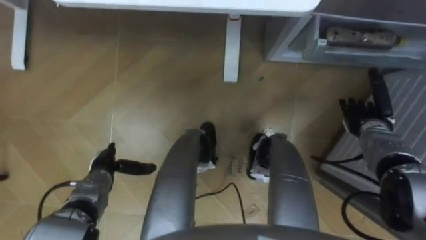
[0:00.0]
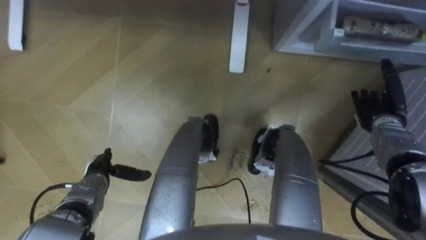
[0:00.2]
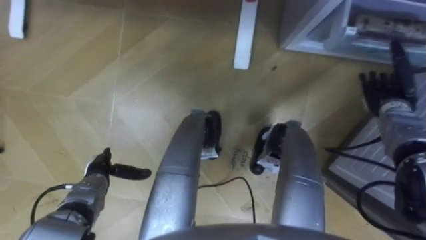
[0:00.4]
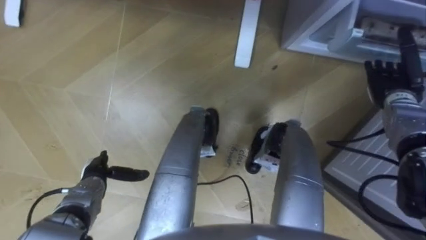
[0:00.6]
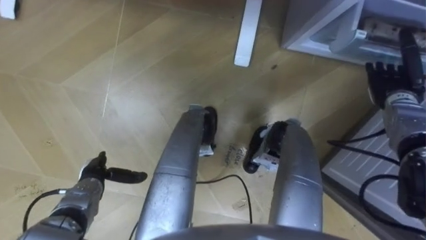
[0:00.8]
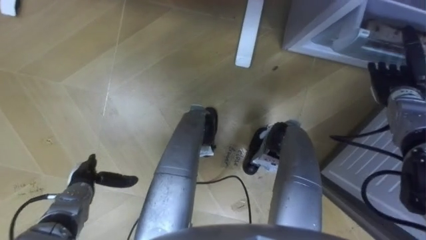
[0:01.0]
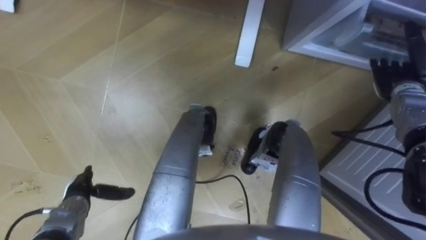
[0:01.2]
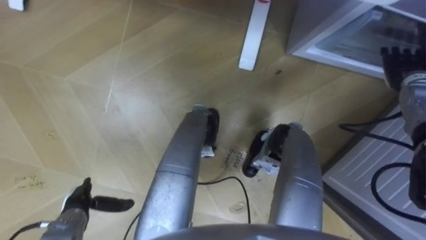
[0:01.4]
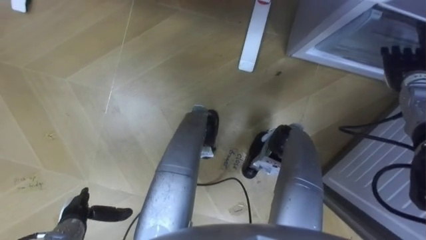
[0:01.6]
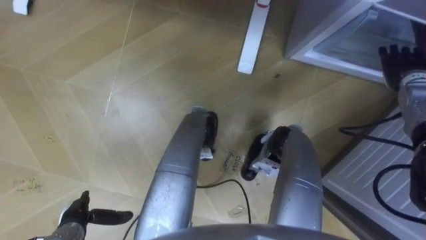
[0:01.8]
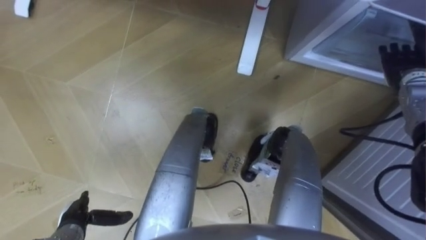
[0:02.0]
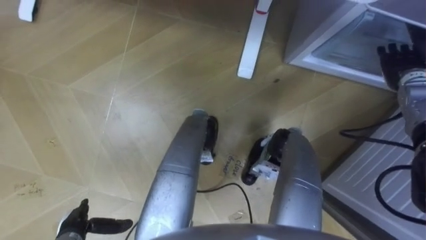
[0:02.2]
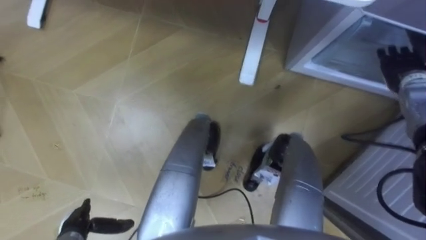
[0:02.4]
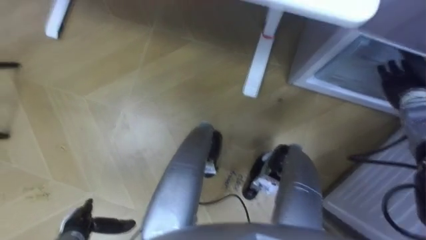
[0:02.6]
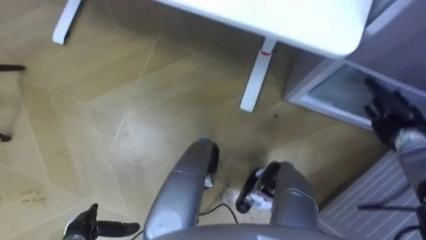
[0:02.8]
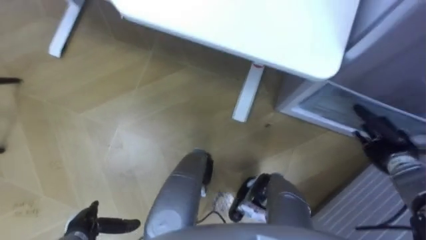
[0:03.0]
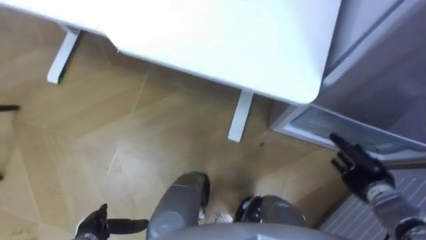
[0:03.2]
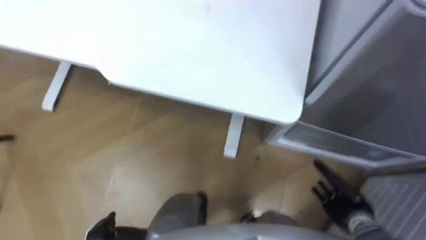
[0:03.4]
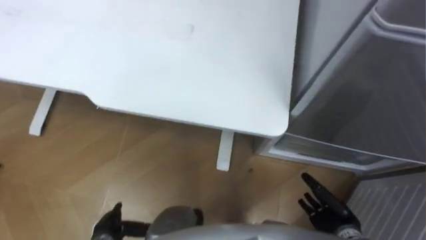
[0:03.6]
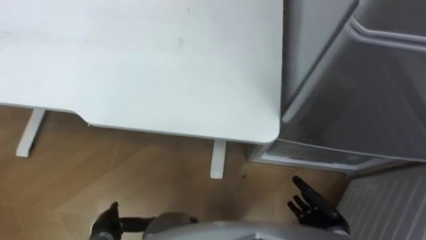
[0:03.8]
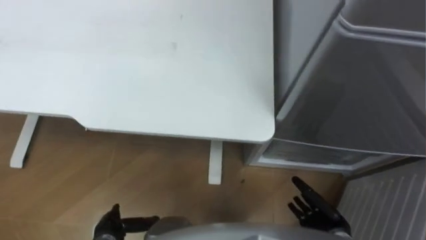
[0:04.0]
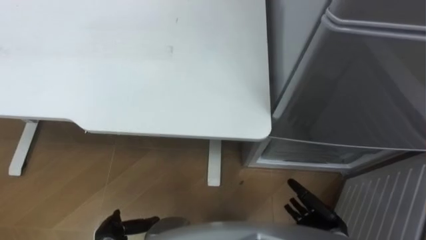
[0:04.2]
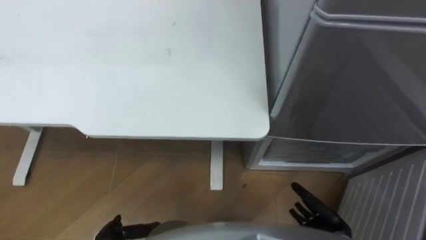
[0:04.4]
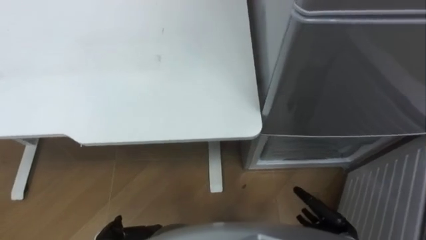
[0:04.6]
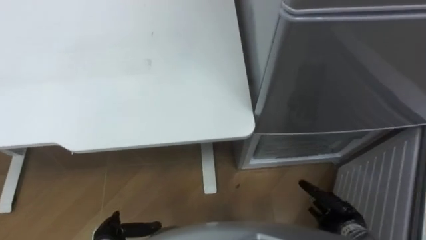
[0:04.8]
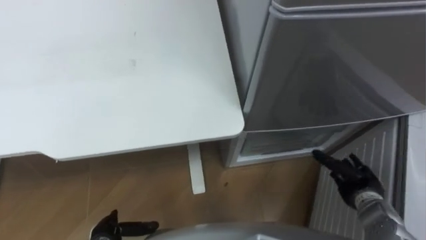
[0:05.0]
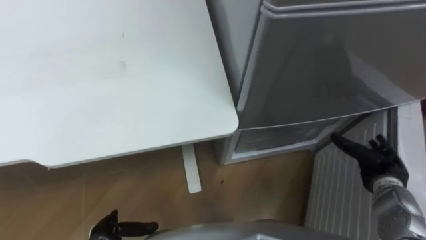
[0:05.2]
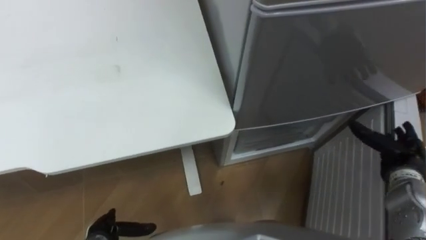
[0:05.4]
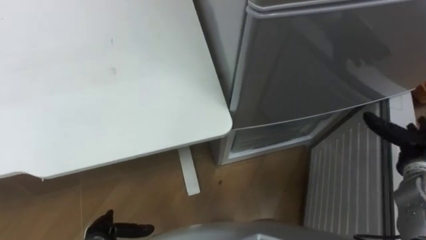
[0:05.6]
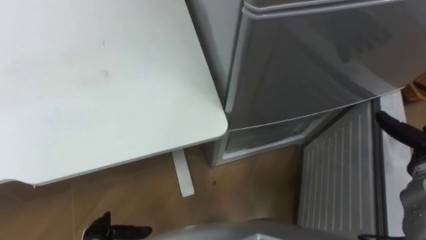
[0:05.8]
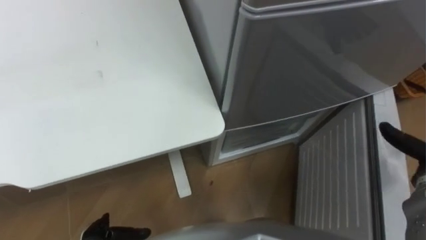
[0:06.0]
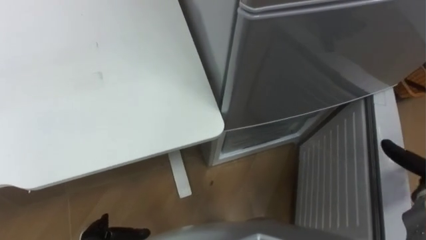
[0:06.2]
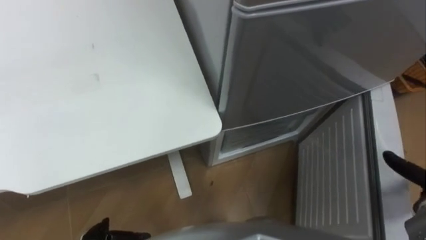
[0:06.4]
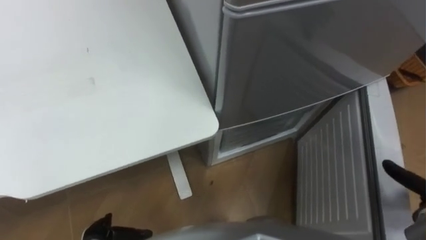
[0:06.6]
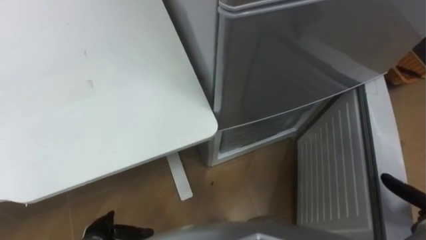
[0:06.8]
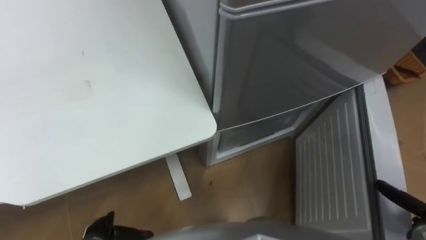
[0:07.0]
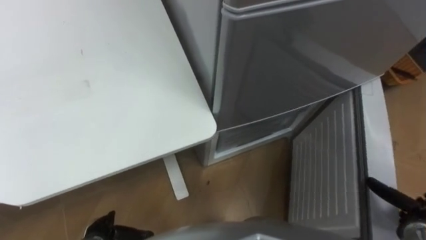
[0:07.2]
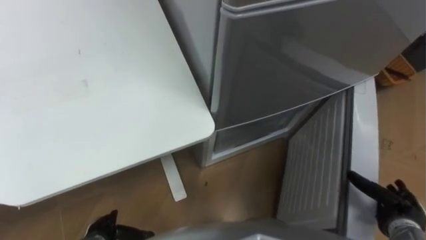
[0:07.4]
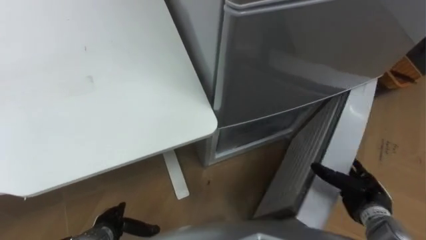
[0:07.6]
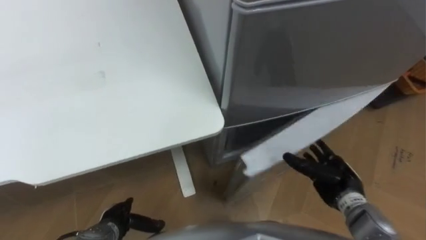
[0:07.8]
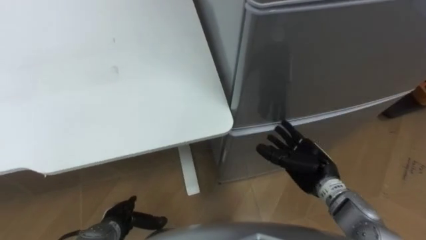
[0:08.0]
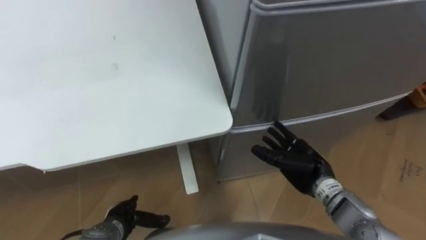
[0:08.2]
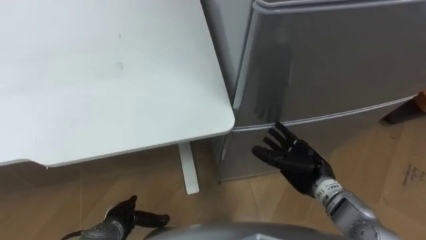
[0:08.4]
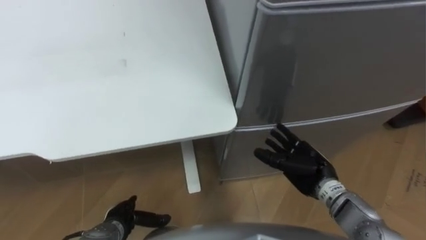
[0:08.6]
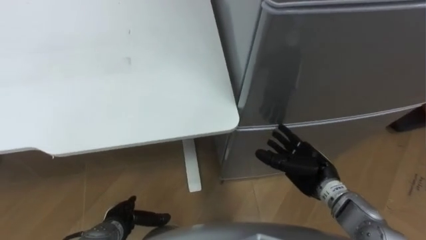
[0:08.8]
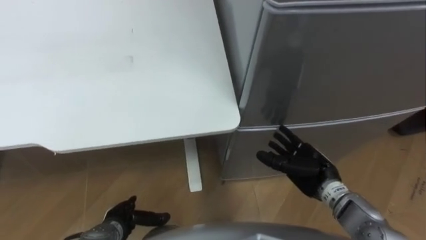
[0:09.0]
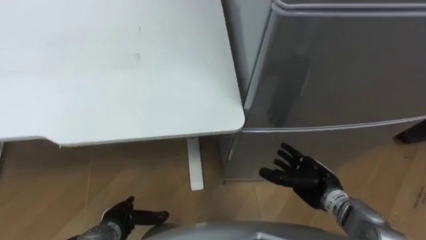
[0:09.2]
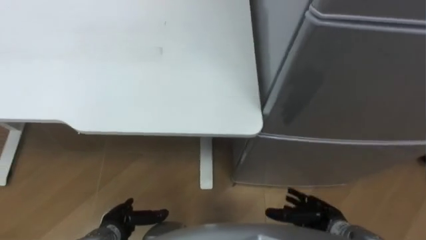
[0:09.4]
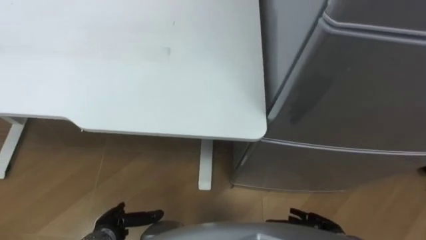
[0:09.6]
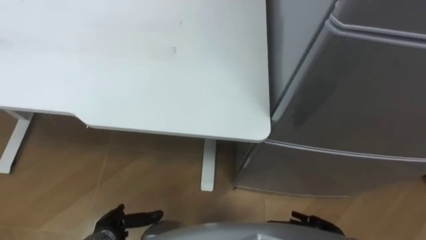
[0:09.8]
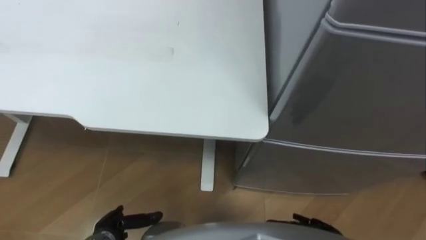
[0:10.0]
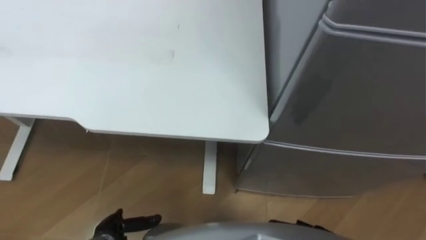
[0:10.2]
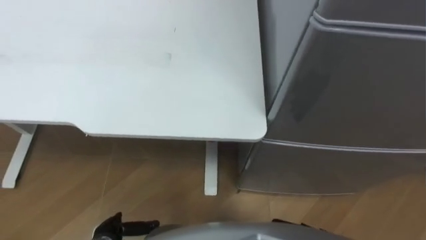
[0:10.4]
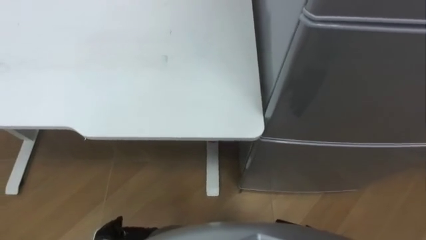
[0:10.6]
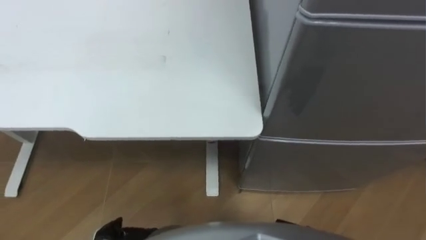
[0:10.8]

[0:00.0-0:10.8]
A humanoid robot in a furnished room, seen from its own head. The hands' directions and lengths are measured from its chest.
Task of the whole recording: Place the drink on the table on the bottom shelf of the refrigerator, then close the drawer and the refrigerator door.
0:00.0 to 0:01.6: The right hand heads upward, forward and to the right, covering roughly 15 cm. The left hand moves backward and to the left, some 10 cm.
0:01.6 to 0:03.0: The right hand goes about 15 cm backward and downward.
0:03.0 to 0:04.6: The right hand heads backward, to the left and downward, covering about 20 cm.
0:04.6 to 0:06.2: The right hand travels to the right, upward and forward by roughly 25 cm.
0:06.2 to 0:07.8: The right hand travels to the left by some 15 cm.
0:07.8 to 0:09.2: The right hand heads to the left, covering some 5 cm.

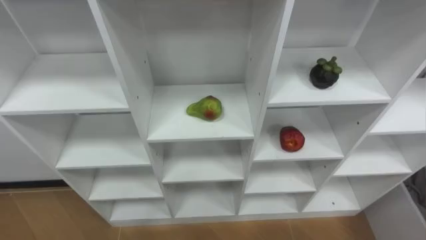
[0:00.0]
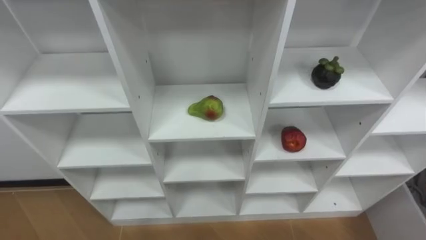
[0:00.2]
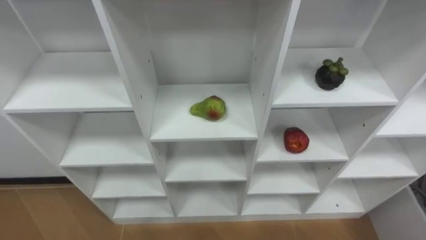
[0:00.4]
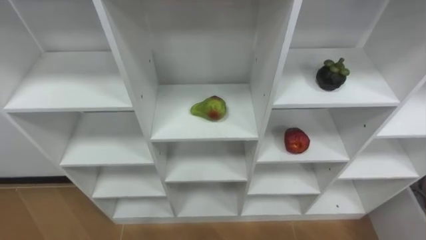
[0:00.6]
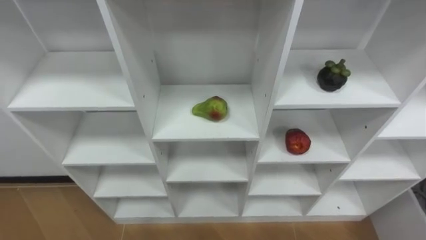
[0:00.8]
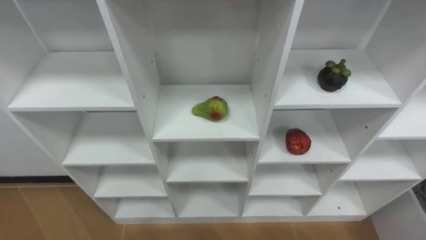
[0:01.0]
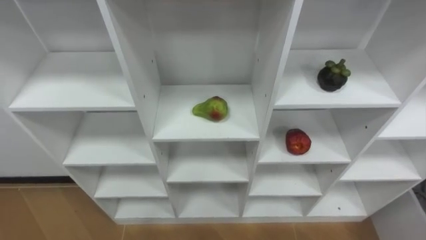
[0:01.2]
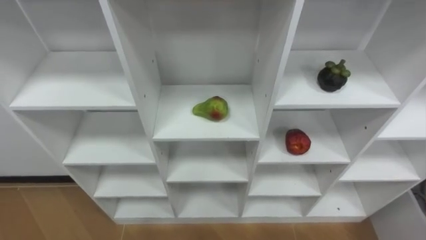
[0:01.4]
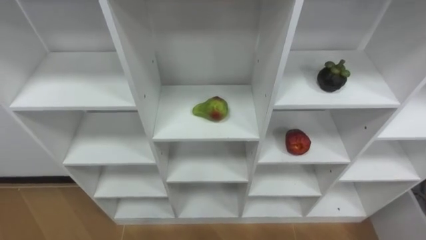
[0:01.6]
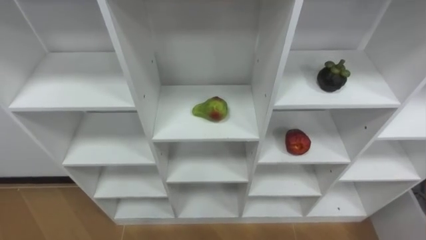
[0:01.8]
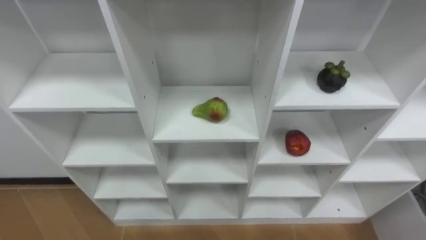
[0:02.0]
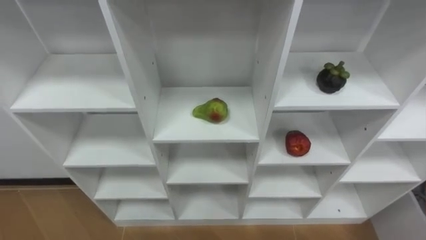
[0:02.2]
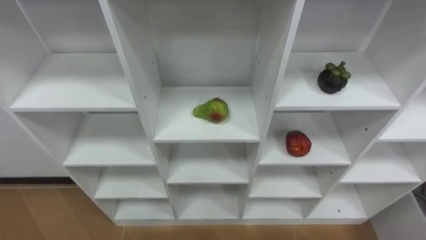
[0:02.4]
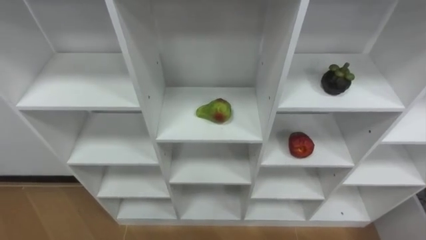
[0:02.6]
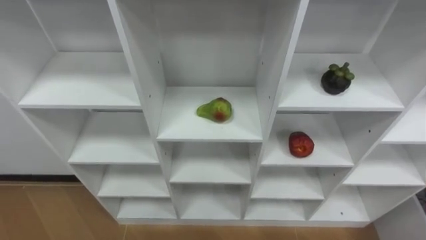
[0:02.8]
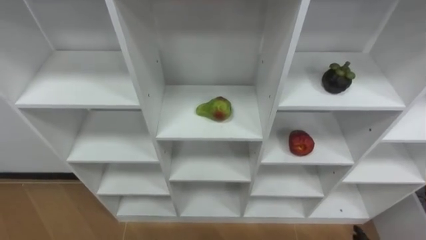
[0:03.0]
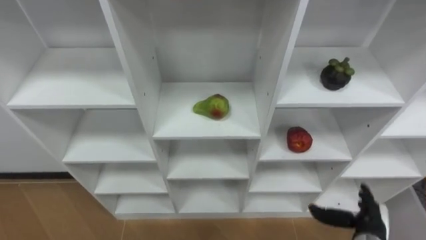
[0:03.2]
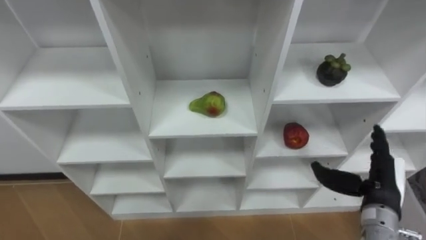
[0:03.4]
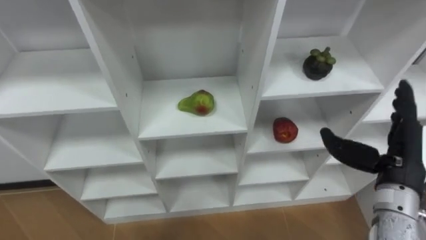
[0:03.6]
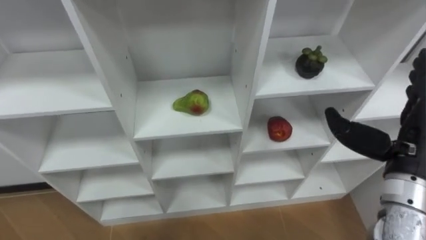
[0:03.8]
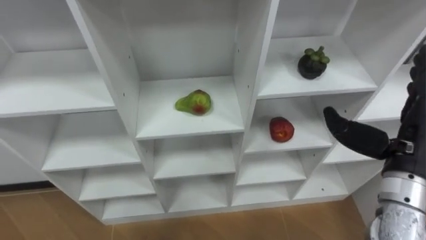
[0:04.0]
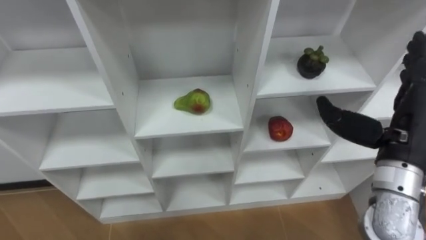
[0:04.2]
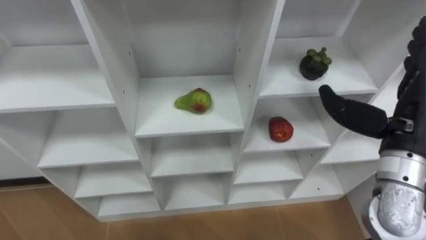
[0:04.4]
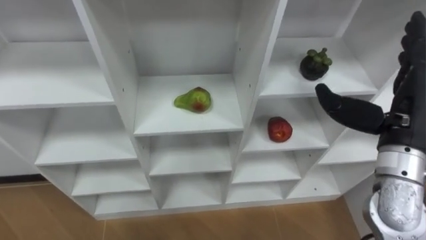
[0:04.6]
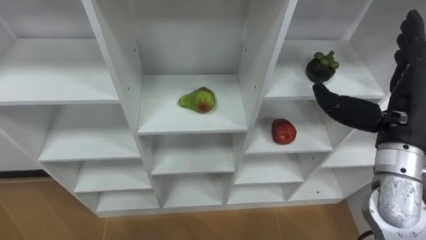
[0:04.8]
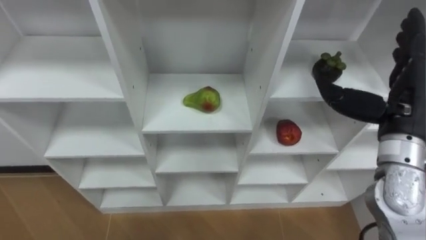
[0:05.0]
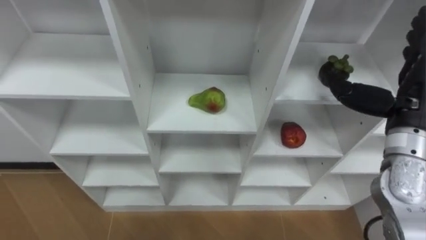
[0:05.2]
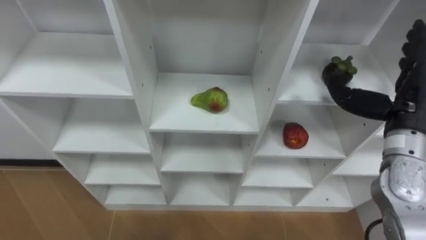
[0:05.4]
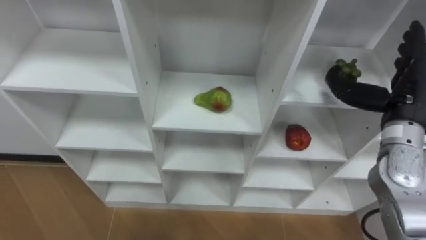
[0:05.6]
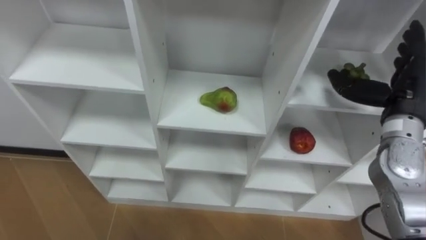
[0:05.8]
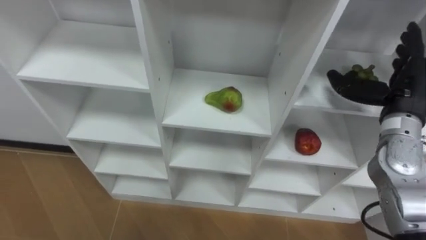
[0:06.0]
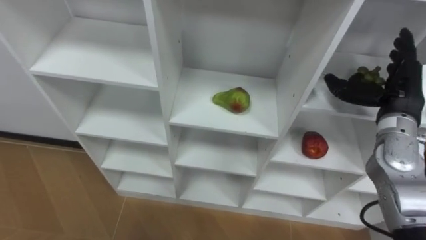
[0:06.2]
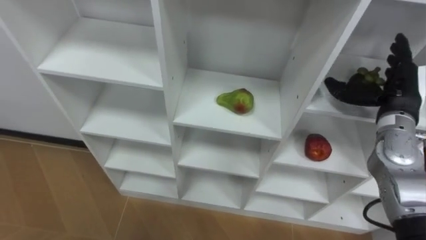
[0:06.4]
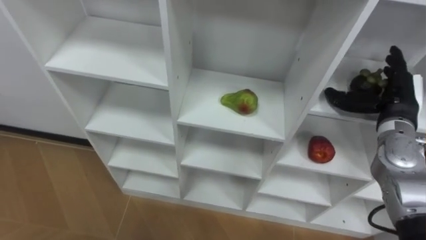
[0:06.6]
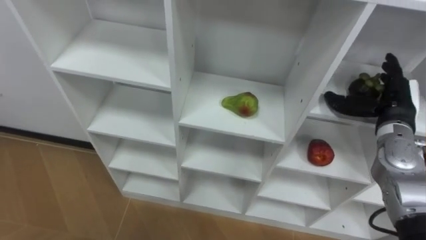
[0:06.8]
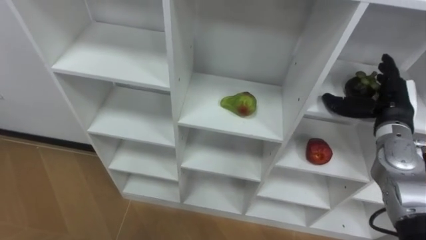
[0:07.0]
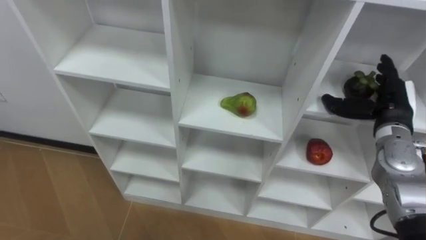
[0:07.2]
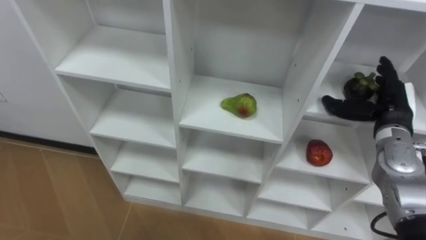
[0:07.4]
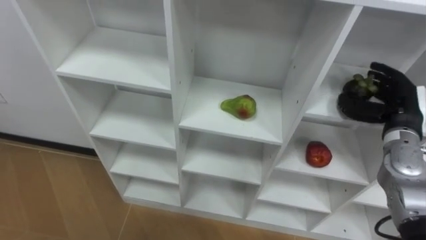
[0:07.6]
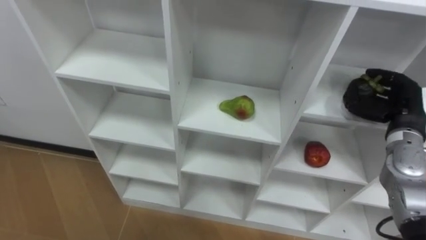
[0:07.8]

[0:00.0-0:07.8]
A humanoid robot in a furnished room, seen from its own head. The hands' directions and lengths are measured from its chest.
Task of the whole recording: Hold the basket and collect the fruits from 3 different cells of the closet into it.
0:03.2 to 0:04.6: The right hand is displaced upward by roughly 30 cm.
0:04.6 to 0:06.2: The right hand goes roughly 5 cm forward.
0:06.2 to 0:07.8: The right hand travels downward by about 5 cm, and closes its fingers.
